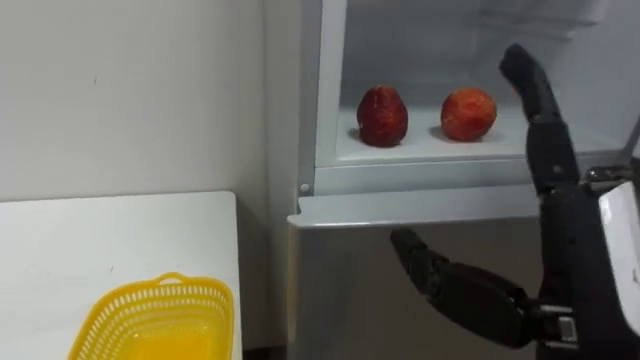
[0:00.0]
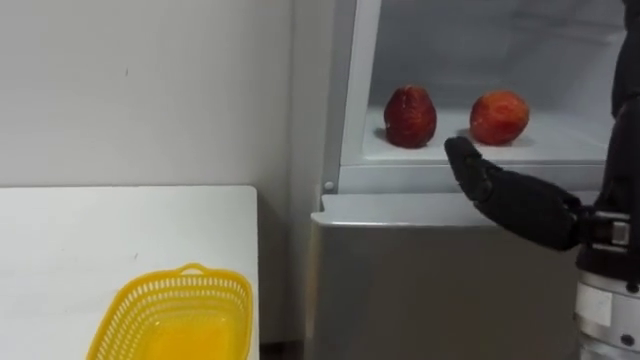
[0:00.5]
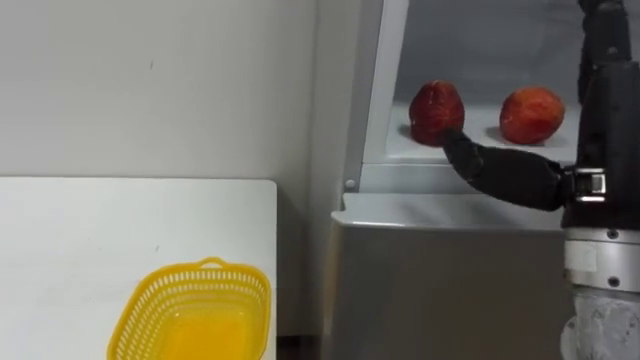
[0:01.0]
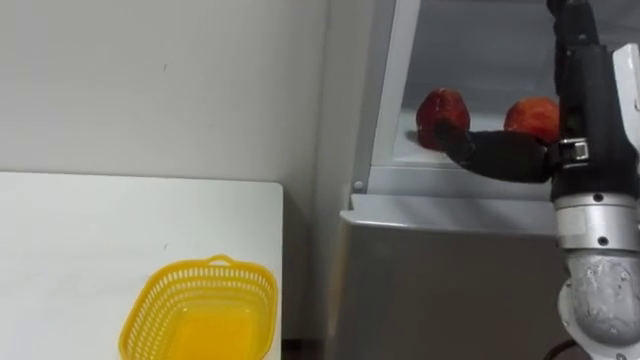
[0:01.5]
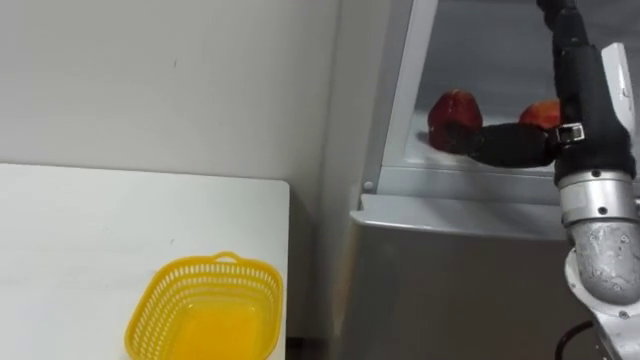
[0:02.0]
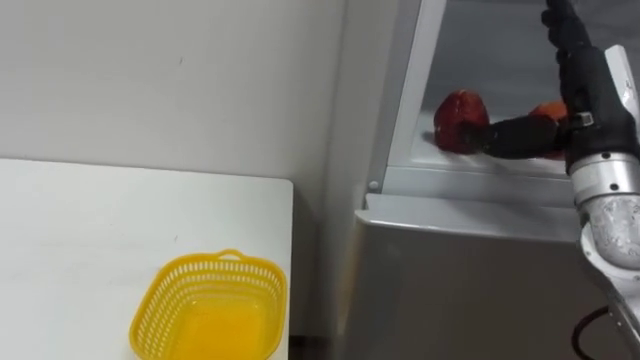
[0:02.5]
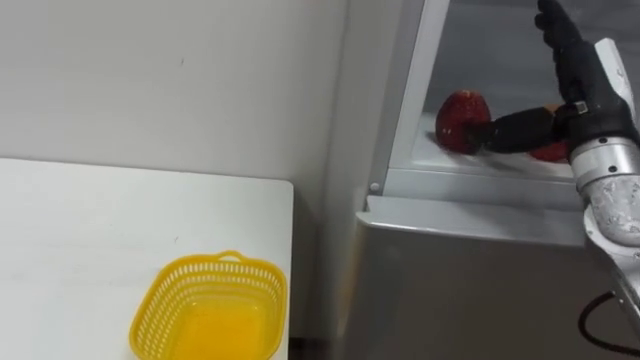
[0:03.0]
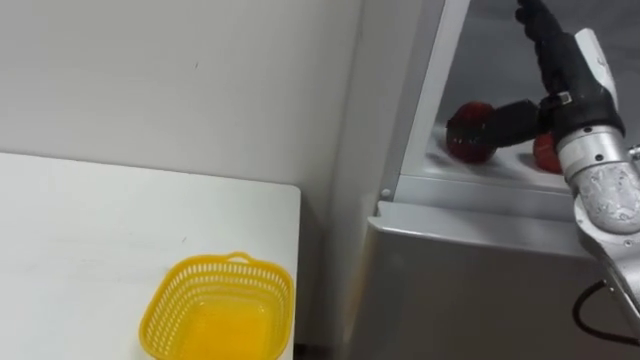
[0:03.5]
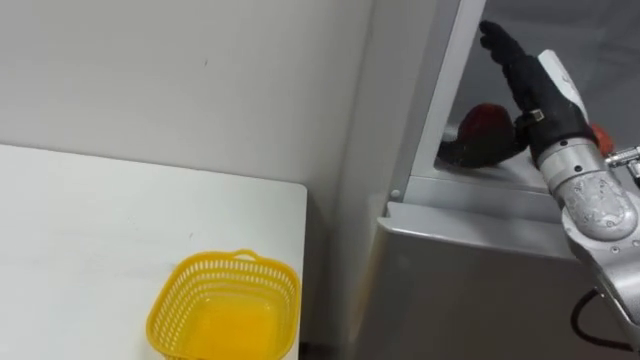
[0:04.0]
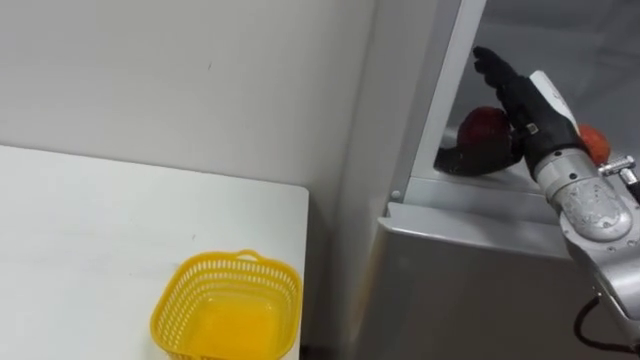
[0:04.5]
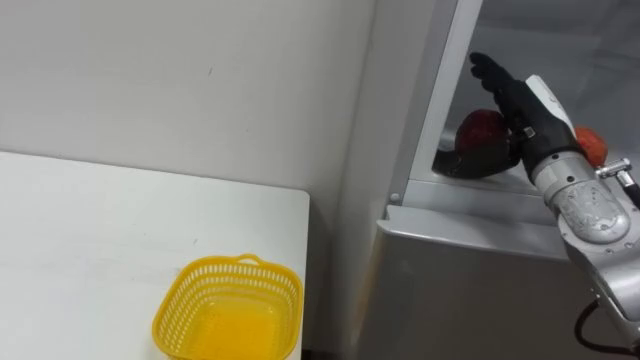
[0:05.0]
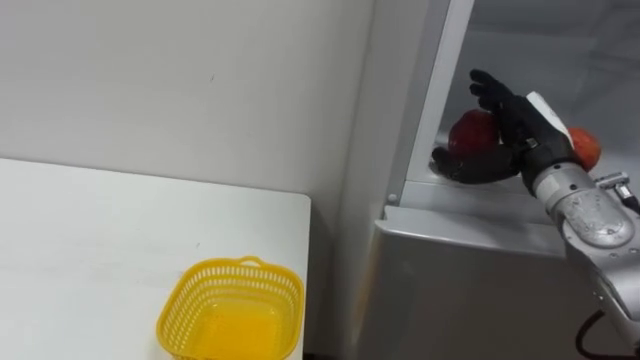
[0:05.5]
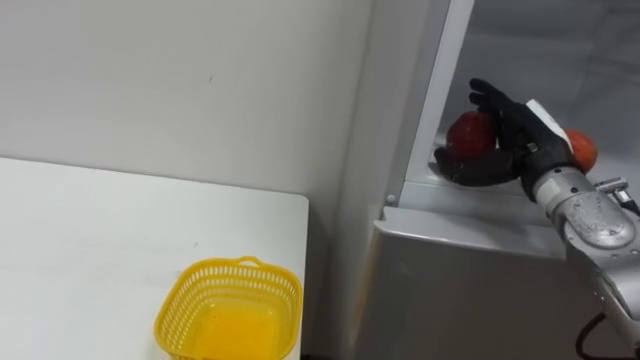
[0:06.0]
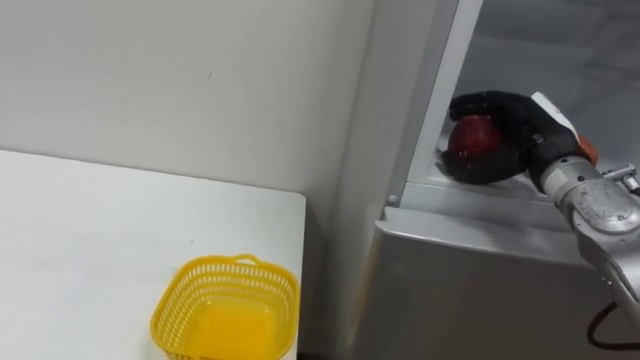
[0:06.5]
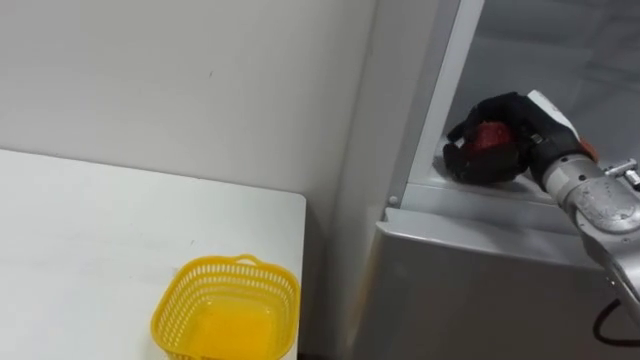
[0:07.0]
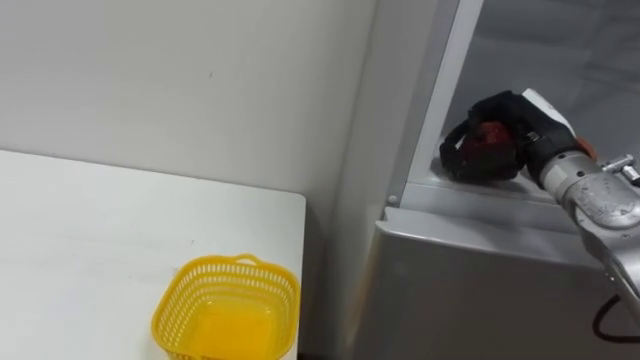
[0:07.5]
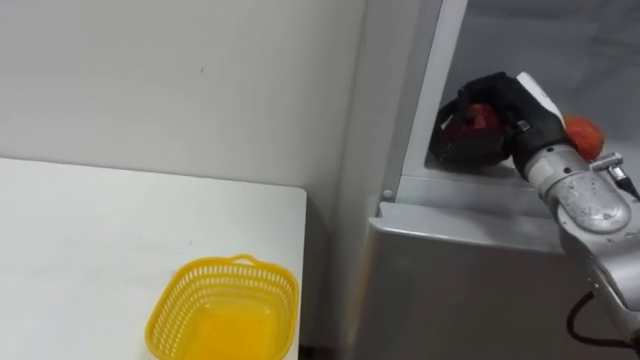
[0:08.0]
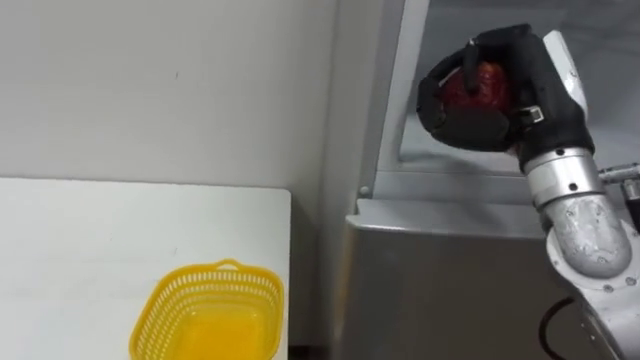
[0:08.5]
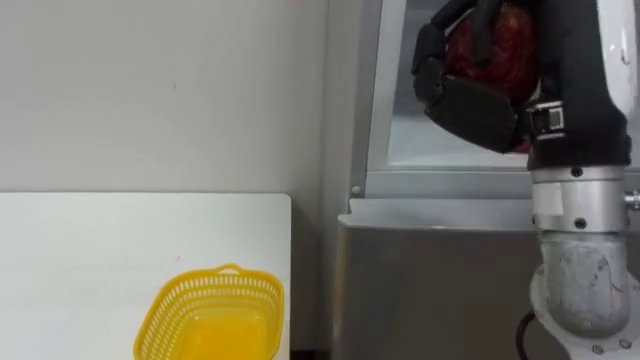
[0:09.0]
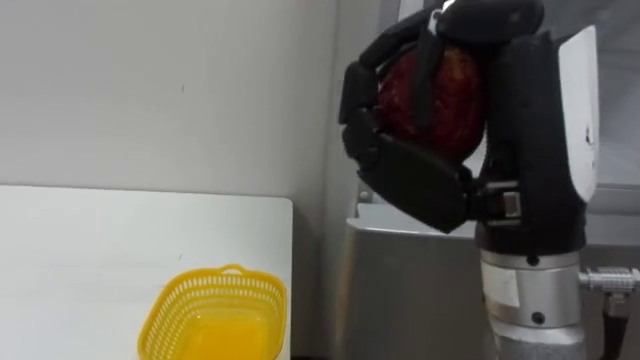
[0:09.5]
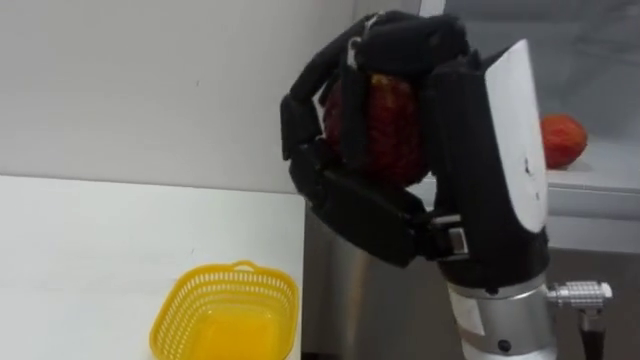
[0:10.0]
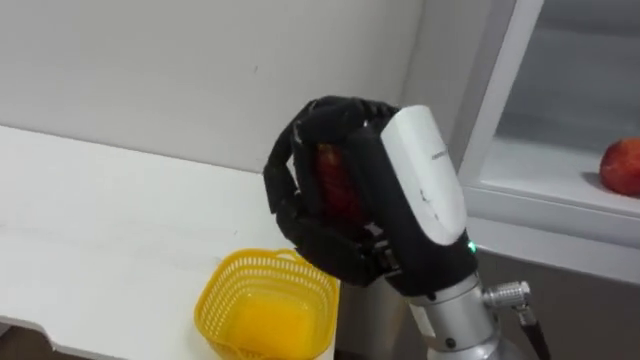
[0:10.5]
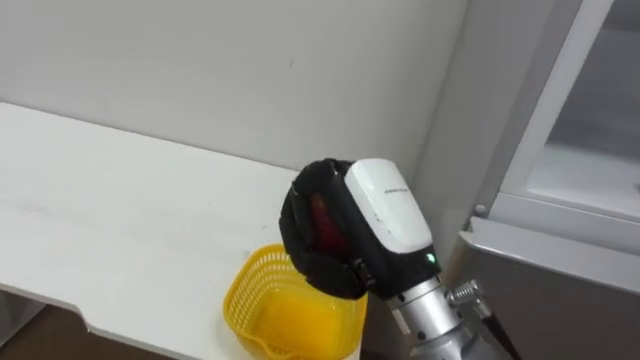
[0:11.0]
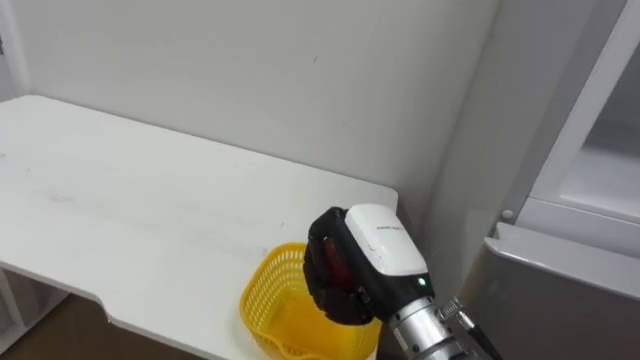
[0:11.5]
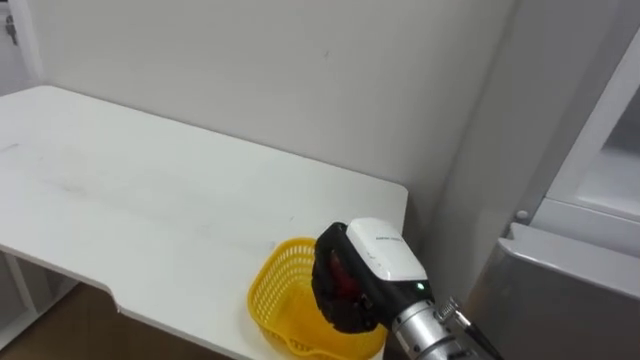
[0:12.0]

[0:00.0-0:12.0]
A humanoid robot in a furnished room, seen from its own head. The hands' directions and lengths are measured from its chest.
Task of the whole recording: Open the refrigerator door, take out the apple and the pomegranate, place them in the fruit basket on the left, and close the refrigerator door.
0:00.0 to 0:02.0: The right hand goes about 15 cm forward and to the right.
0:02.0 to 0:04.0: The right hand moves forward, roughly 5 cm.
0:04.0 to 0:06.0: The right hand moves downward, about 5 cm.
0:06.0 to 0:08.0: The right hand closes up.
0:08.0 to 0:10.0: The right hand moves backward and to the left, some 25 cm.
0:10.0 to 0:12.0: The right hand travels downward and forward by some 25 cm.

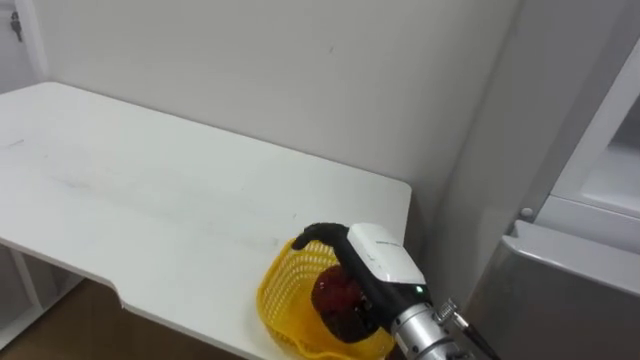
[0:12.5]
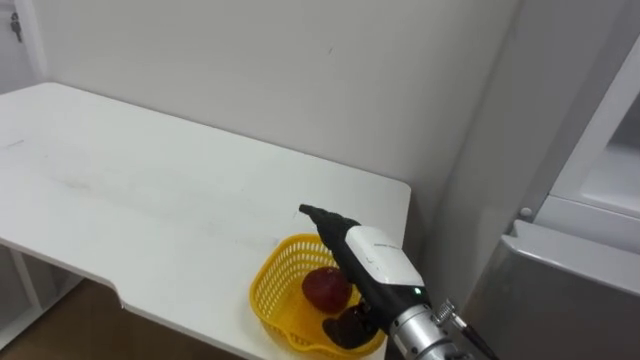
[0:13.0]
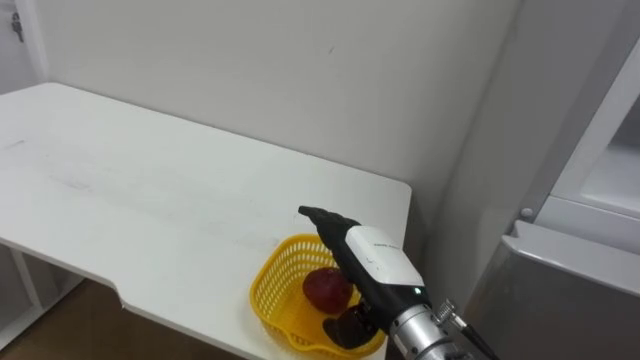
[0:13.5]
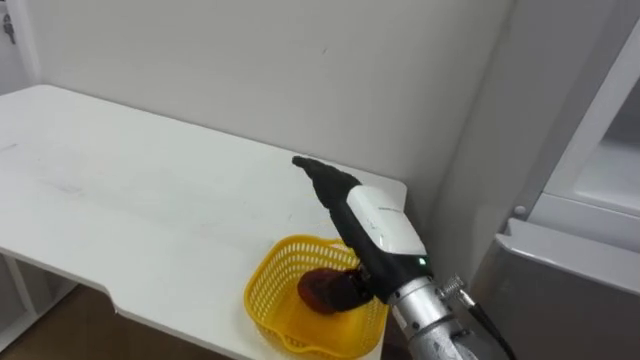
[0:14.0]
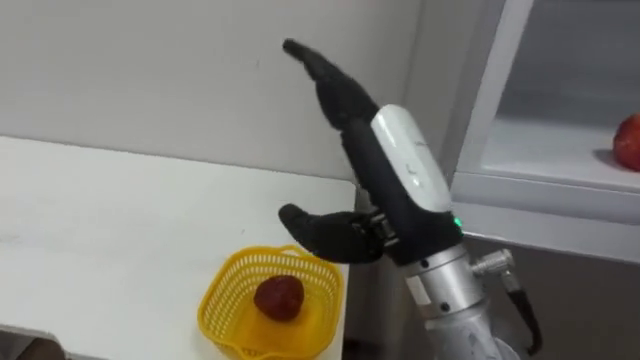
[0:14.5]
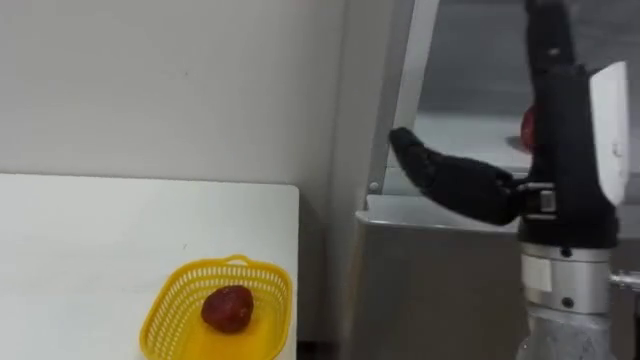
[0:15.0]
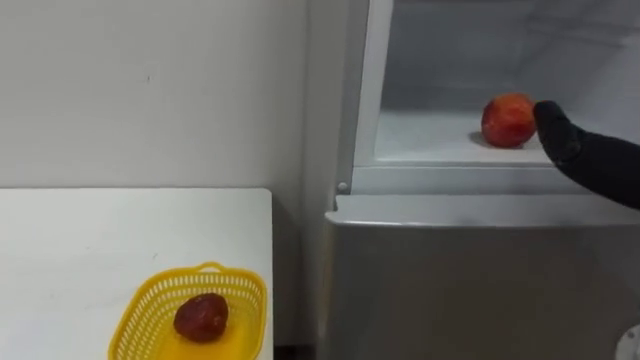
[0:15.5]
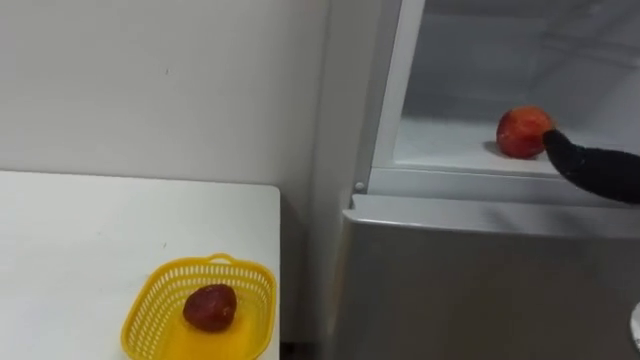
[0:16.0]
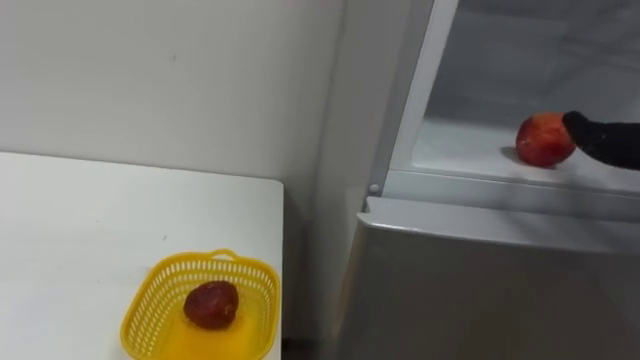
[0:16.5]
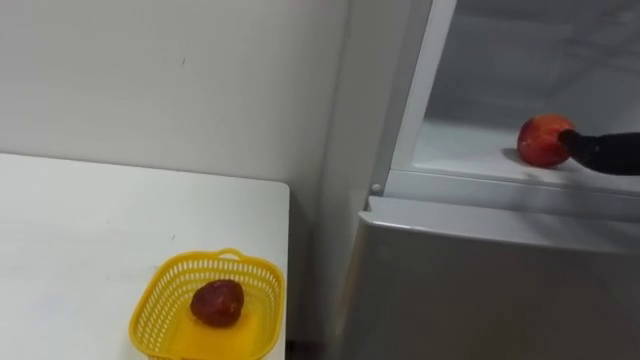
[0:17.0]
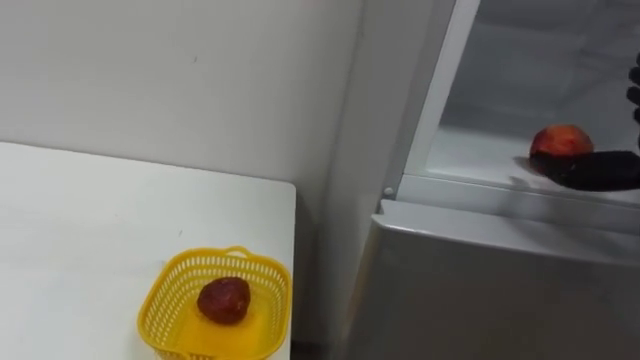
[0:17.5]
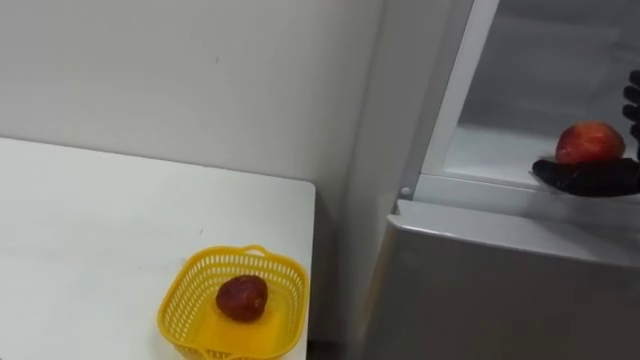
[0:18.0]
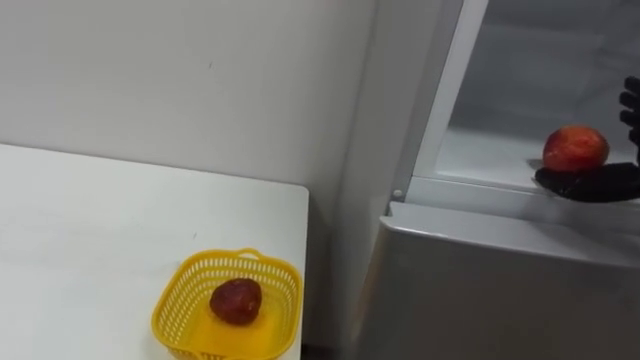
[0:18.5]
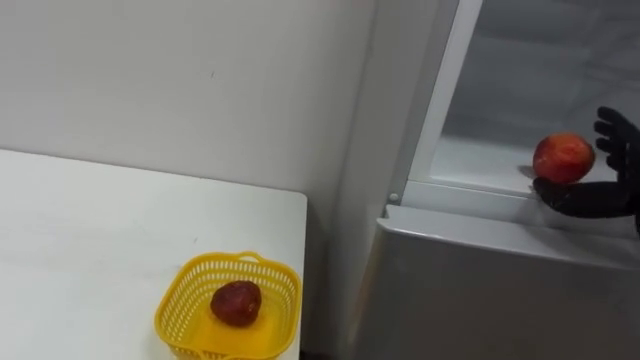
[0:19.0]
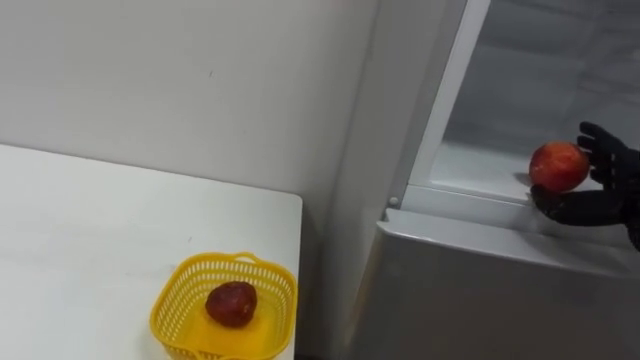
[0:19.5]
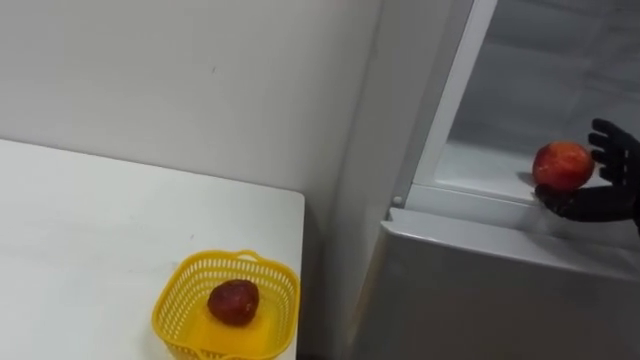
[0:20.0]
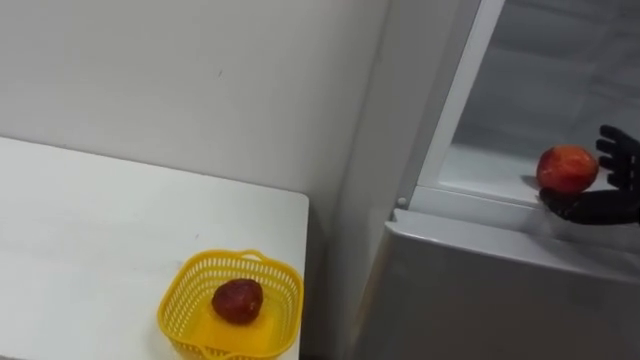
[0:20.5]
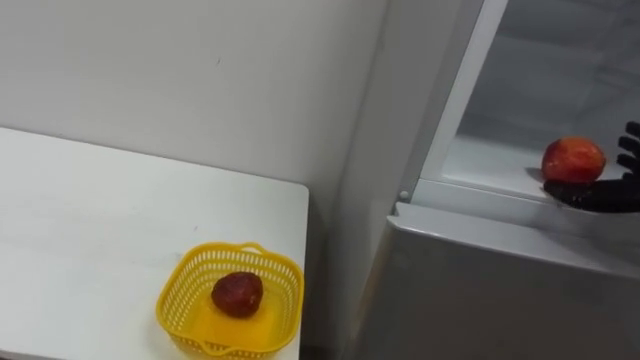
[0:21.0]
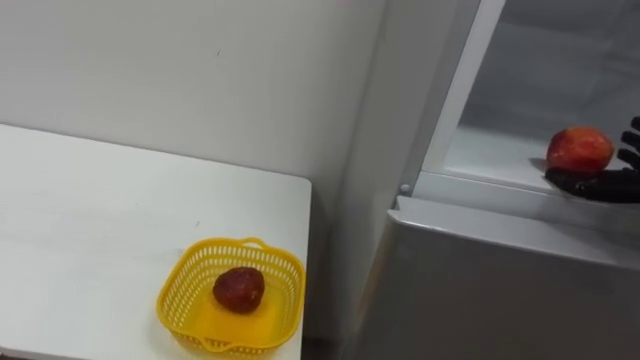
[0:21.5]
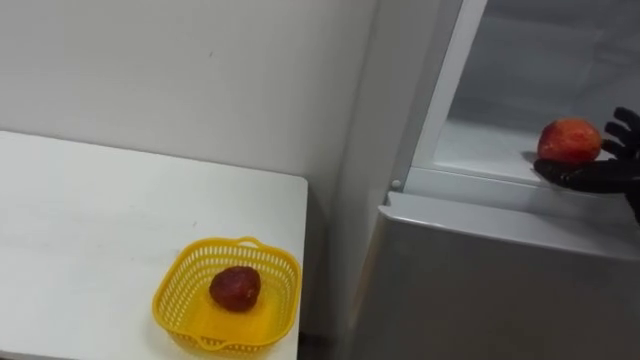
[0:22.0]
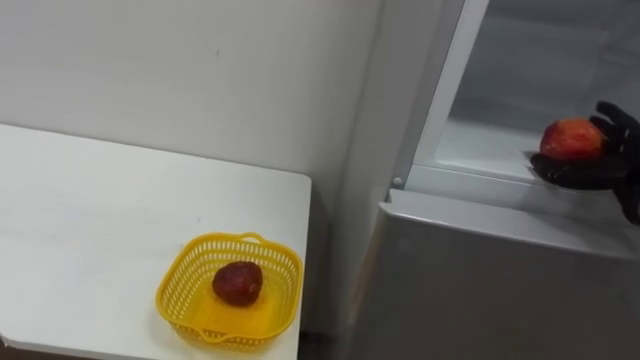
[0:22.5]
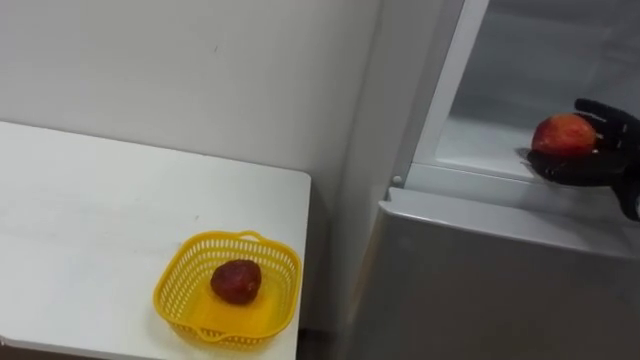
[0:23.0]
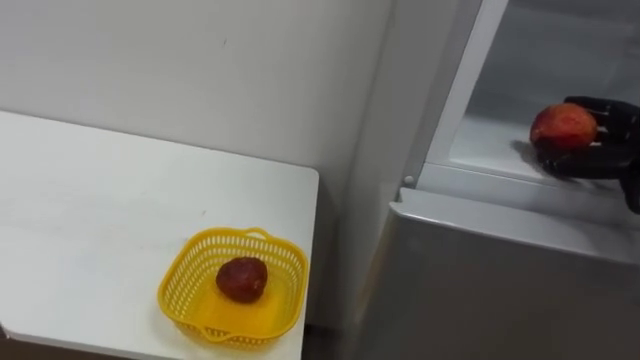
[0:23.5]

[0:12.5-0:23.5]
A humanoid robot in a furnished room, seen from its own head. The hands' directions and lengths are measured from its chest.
Task of the whole recording: Open the refrigerator door, take out the apple and the pomegranate, place them in the fruit basket on the left, and close the refrigerator door.
0:12.5 to 0:14.5: The right hand shifts approximately 15 cm upward.
